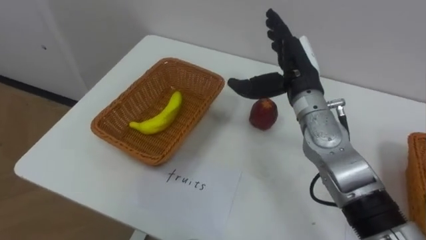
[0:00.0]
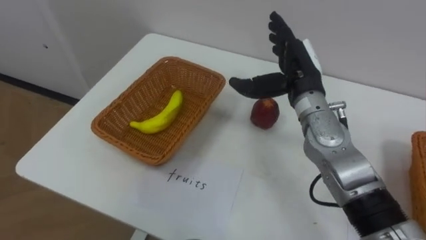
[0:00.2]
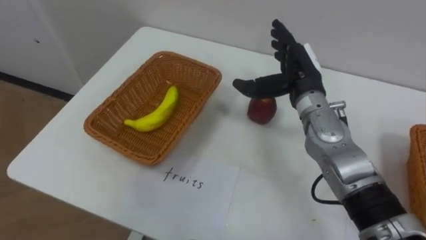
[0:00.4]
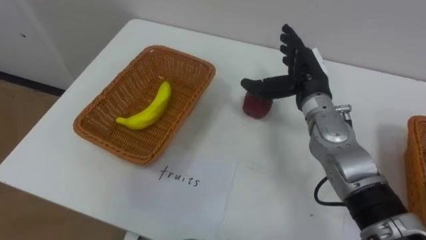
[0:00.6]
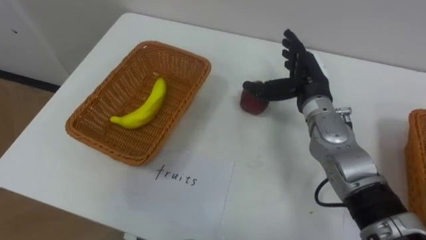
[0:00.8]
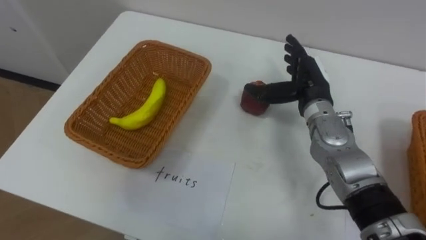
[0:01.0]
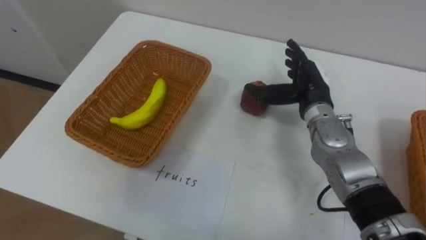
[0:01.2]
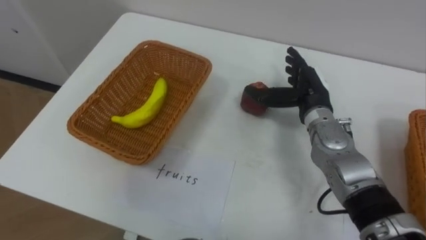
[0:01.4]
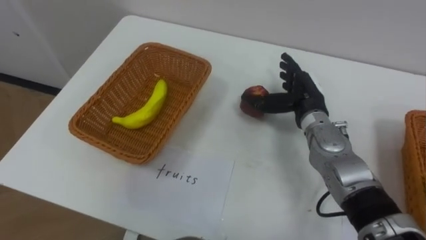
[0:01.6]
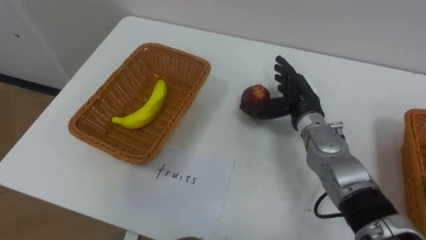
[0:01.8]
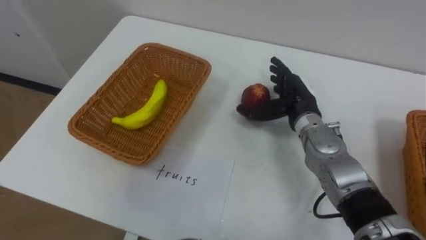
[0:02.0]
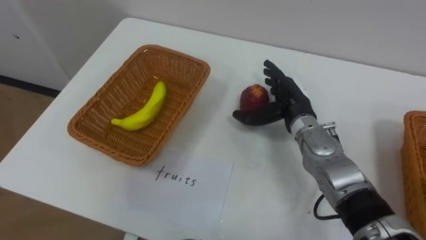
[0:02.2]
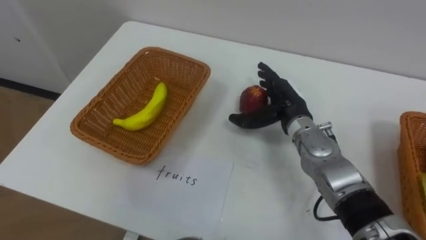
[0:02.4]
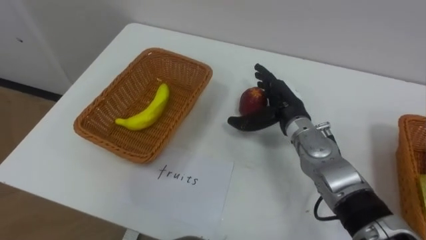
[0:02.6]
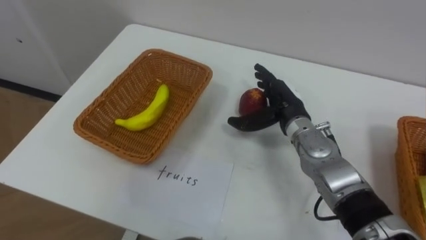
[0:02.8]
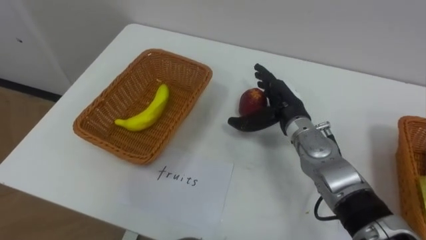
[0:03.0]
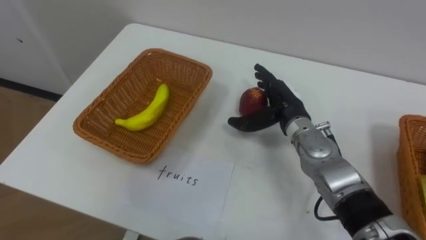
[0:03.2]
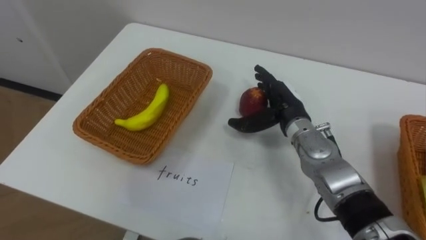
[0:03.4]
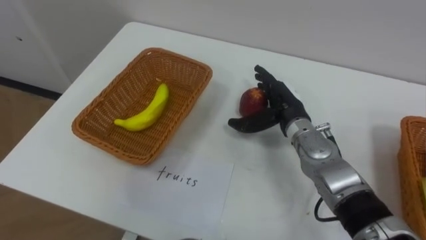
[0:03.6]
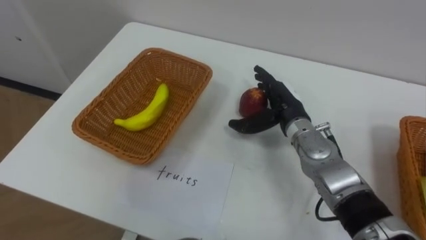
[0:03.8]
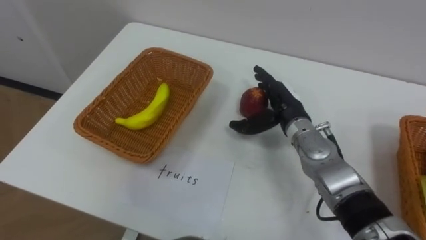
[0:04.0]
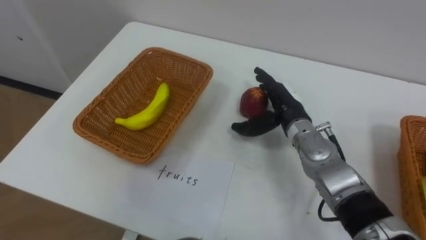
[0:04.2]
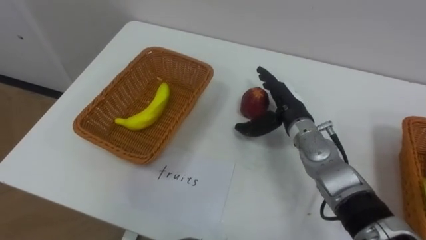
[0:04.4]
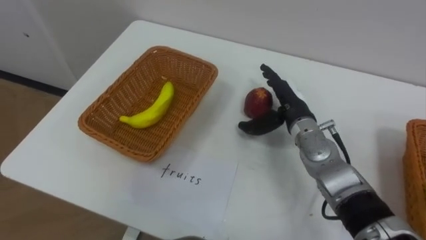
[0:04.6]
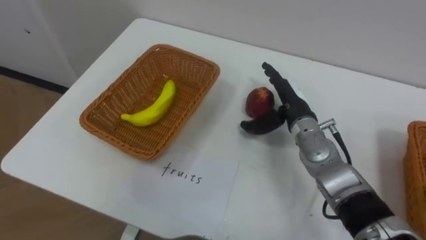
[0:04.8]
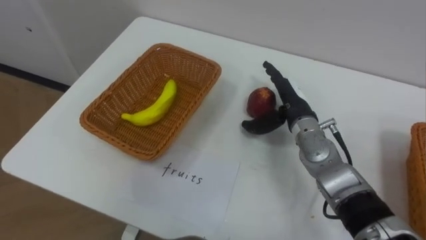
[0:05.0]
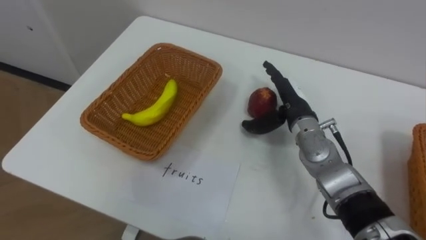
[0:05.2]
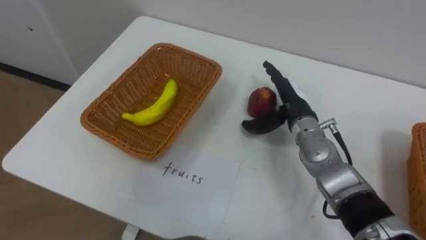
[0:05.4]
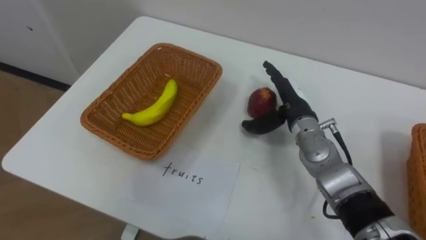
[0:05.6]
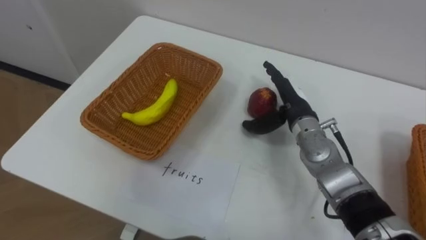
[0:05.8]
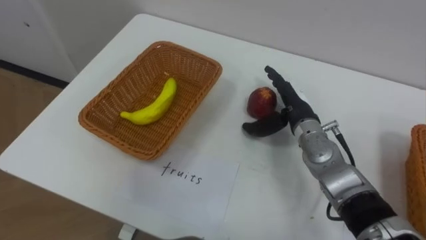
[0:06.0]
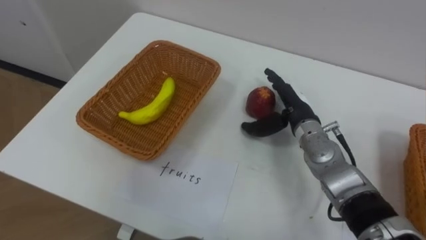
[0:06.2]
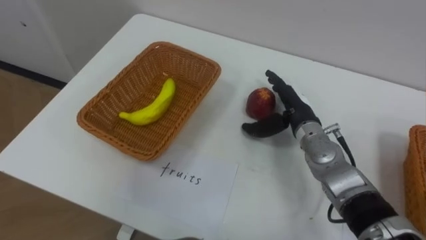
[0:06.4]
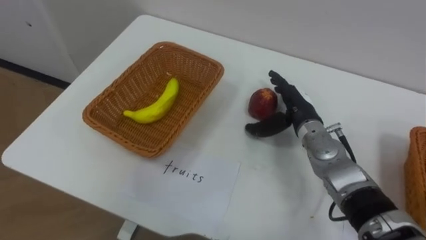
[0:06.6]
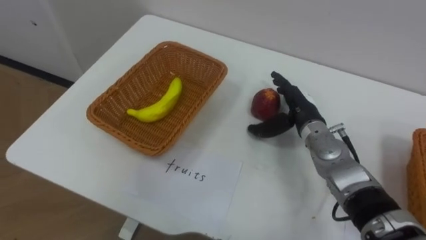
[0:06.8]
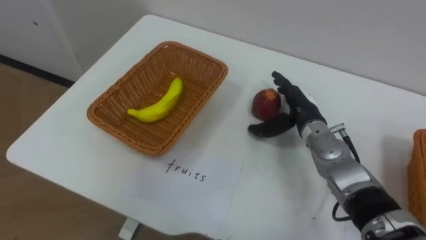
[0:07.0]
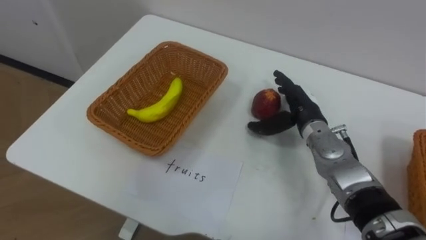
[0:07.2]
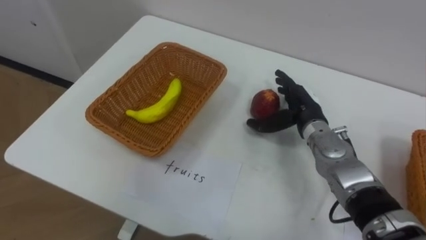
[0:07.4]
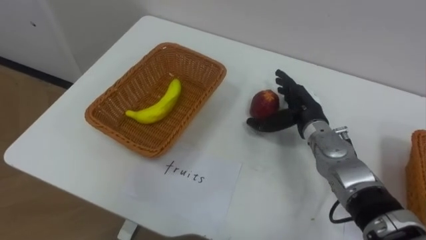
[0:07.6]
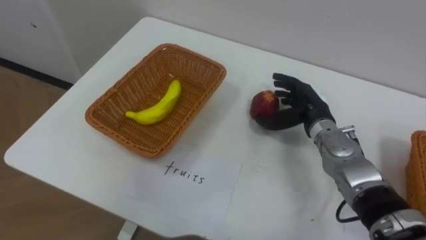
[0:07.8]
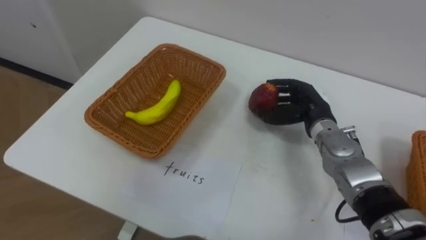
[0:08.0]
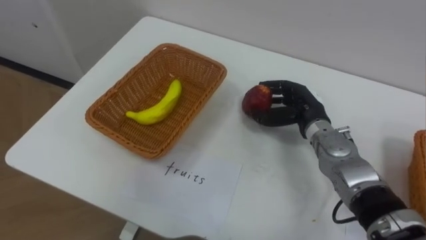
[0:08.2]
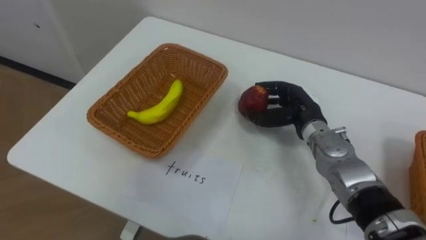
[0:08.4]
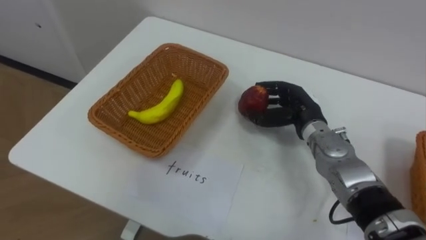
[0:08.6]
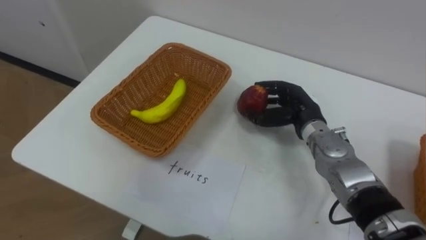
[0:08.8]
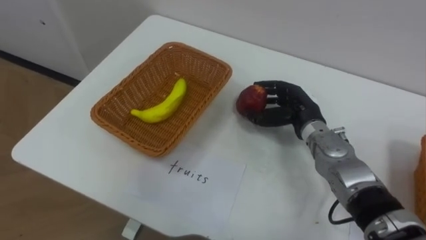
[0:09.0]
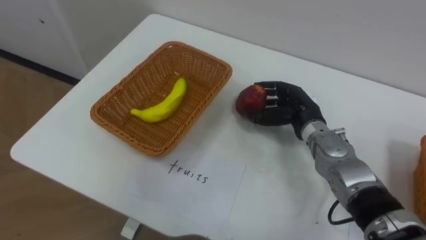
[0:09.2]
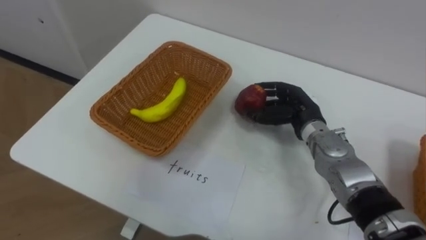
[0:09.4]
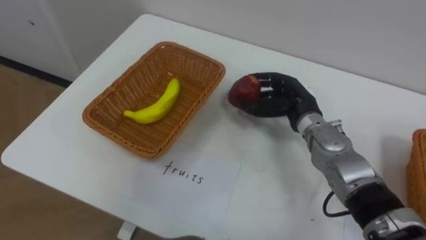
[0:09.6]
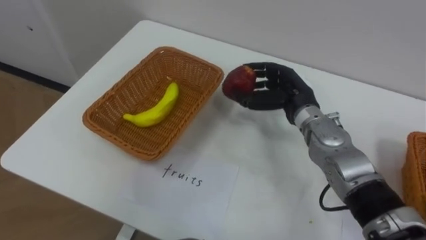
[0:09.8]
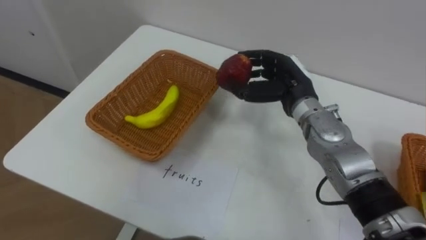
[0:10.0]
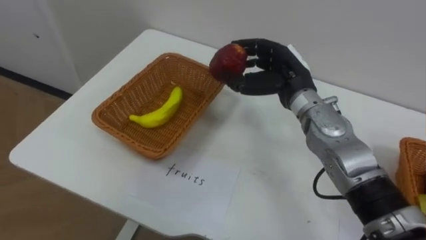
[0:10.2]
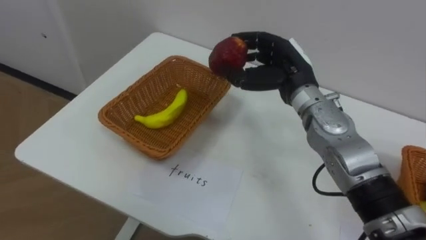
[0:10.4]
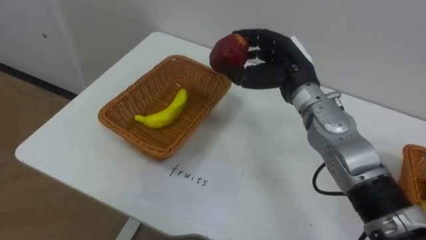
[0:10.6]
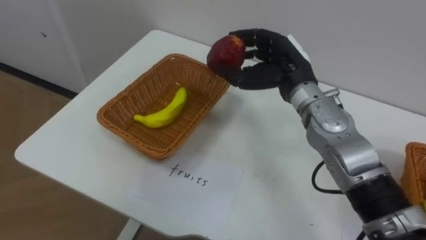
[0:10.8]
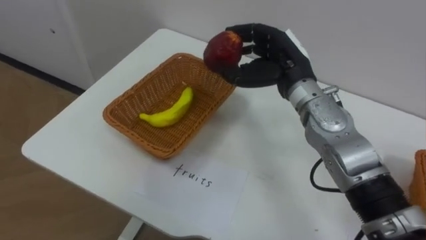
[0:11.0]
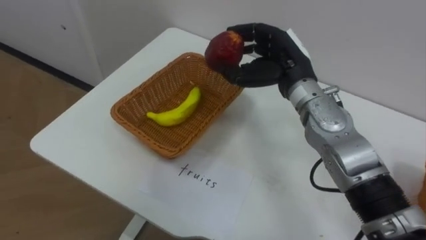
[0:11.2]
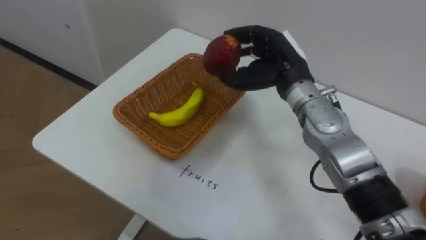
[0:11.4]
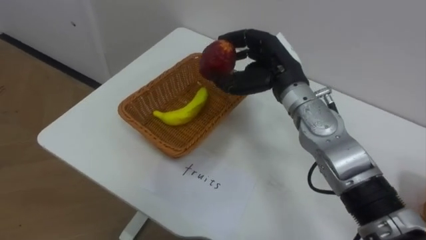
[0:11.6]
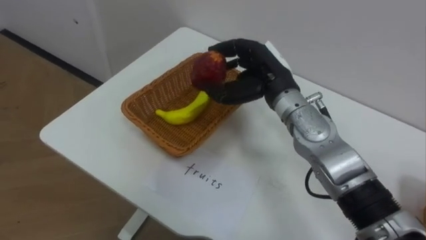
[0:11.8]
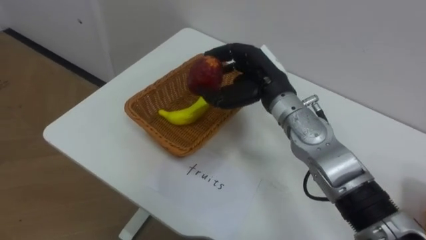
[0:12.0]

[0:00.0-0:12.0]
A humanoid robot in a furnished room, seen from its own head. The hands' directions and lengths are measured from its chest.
Task of the whole recording: Separate the items on the table and place them into the two baskets.
0:00.0 to 0:01.6: The right hand moves downward, roughly 10 cm.
0:07.6 to 0:09.0: The right hand closes its fingers.
0:09.0 to 0:10.4: The right hand heads upward, covering about 10 cm.

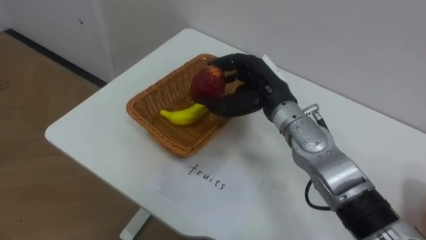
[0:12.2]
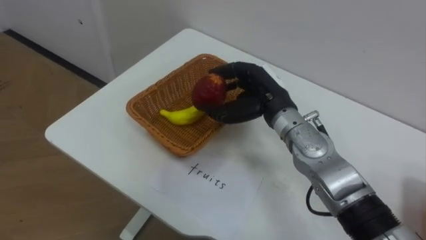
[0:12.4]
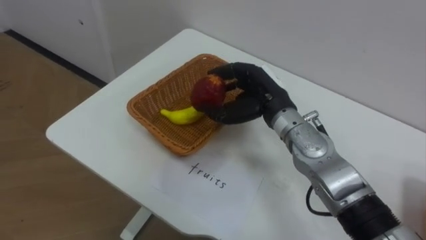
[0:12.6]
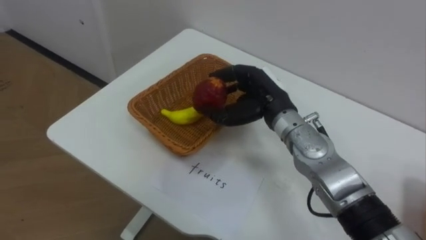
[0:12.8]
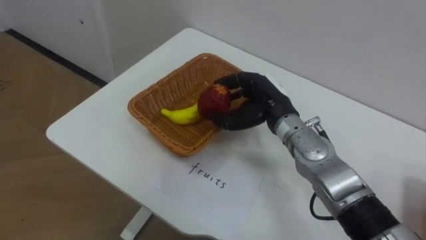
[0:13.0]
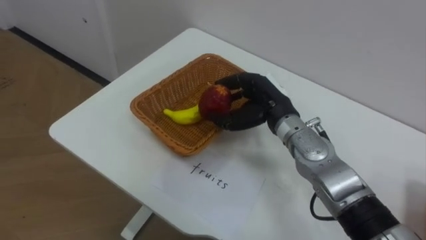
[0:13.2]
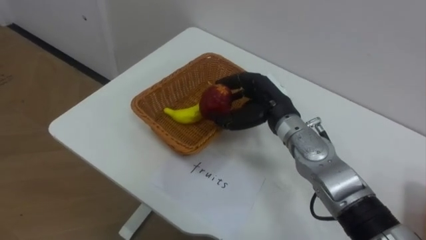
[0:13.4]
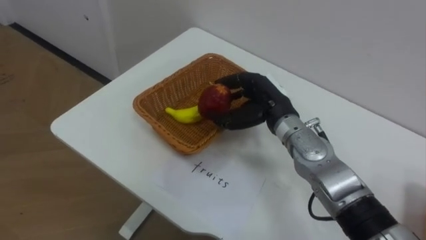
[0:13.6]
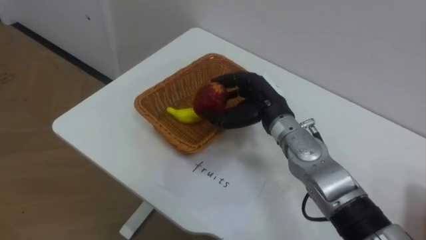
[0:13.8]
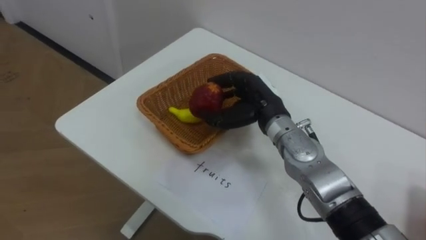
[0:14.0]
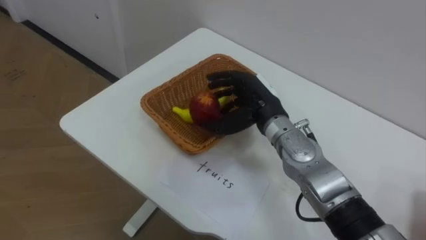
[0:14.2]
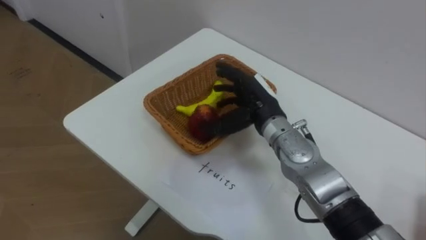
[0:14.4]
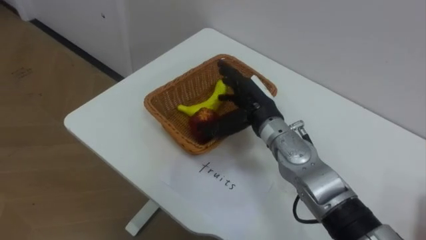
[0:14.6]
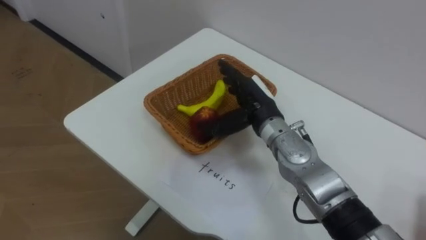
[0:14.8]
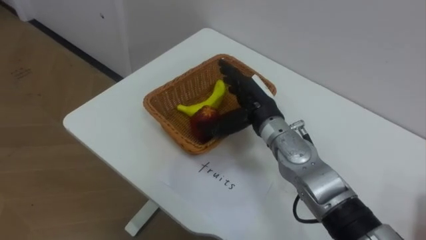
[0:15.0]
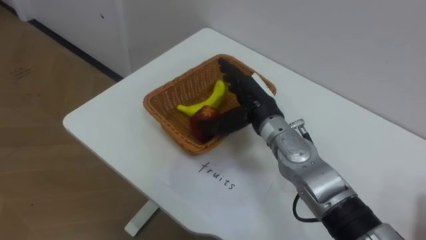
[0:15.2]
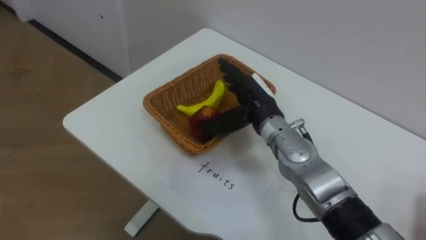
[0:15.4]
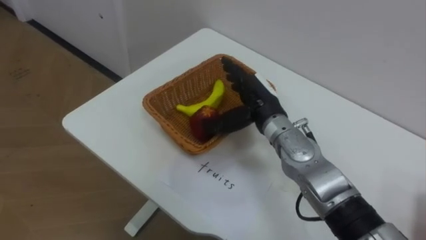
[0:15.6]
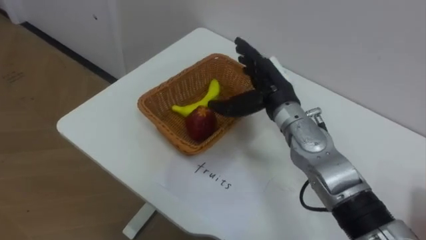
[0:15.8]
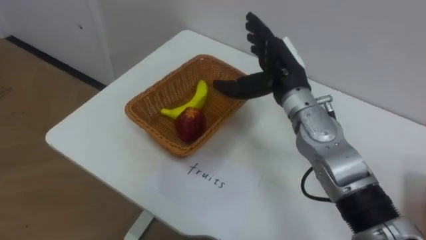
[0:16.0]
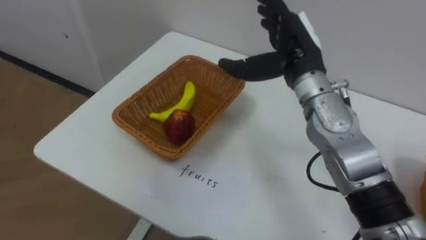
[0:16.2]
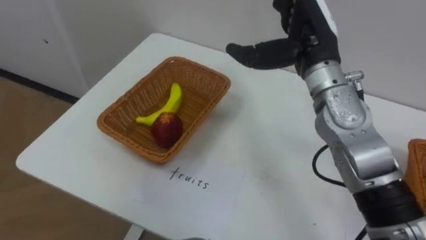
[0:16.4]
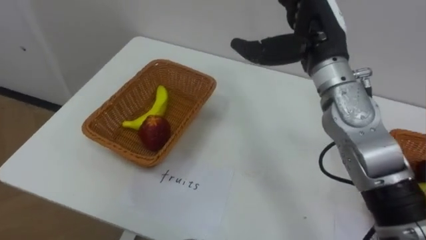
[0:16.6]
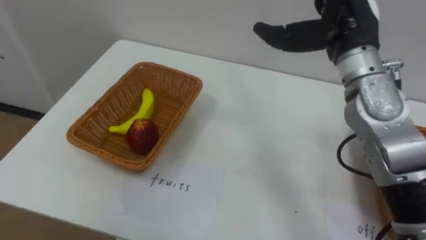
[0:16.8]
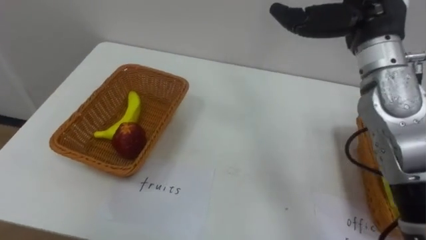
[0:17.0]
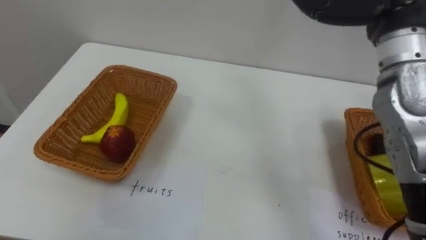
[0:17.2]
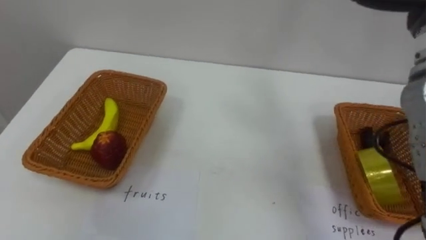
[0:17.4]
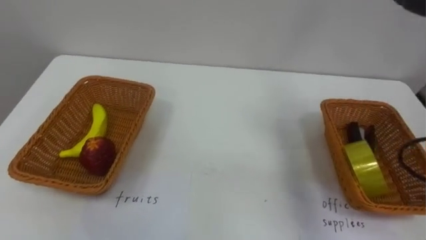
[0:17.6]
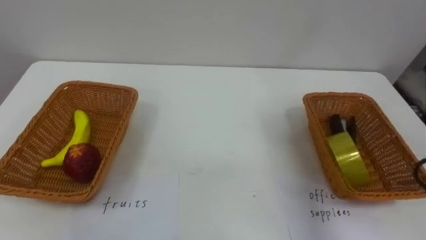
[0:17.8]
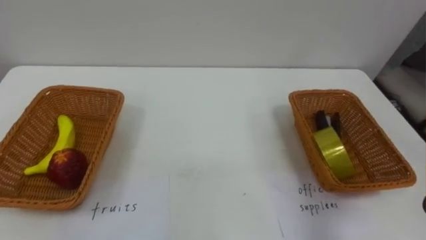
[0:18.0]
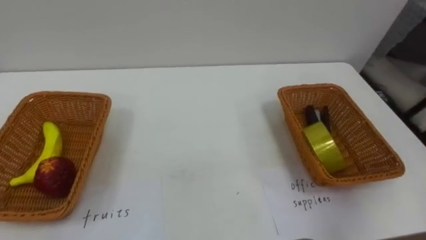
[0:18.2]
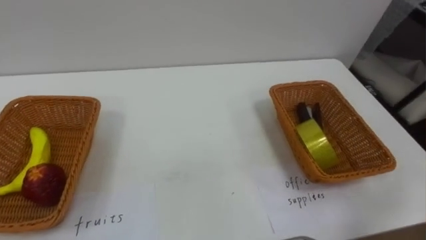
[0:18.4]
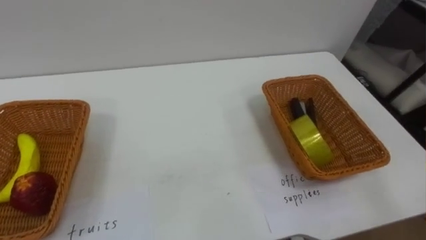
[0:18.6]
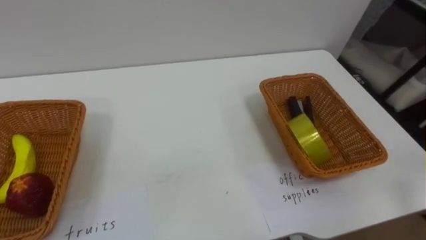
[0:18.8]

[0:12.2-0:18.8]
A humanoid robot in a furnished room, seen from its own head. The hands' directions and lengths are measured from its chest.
Task of the whole recording: Separate the items on the table and place them into the two baskets.
0:13.8 to 0:15.4: The right hand opens its fingers.
0:15.4 to 0:17.2: The right hand goes some 25 cm upward and to the right.
